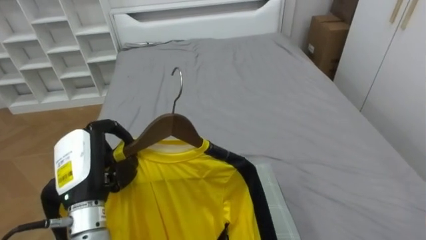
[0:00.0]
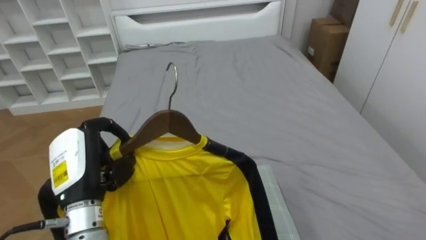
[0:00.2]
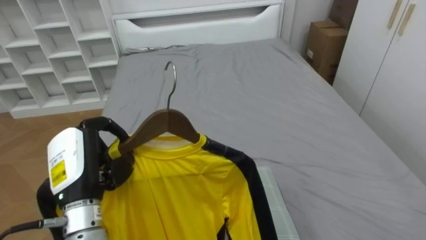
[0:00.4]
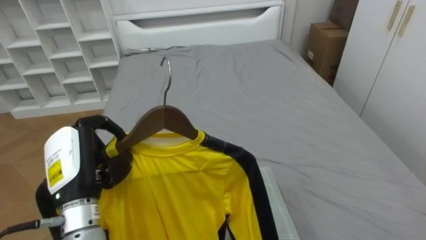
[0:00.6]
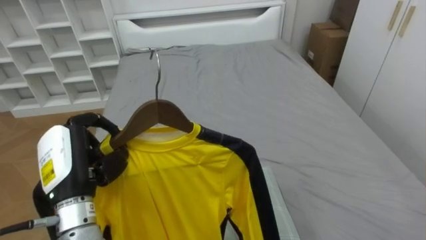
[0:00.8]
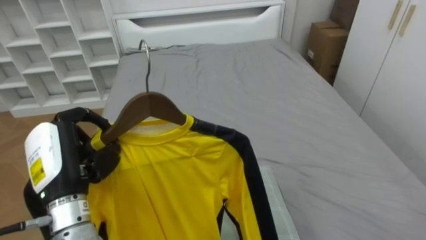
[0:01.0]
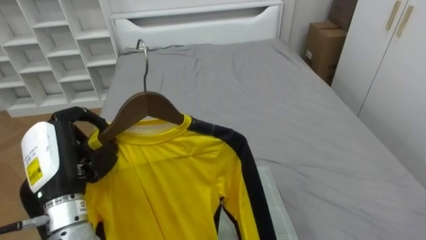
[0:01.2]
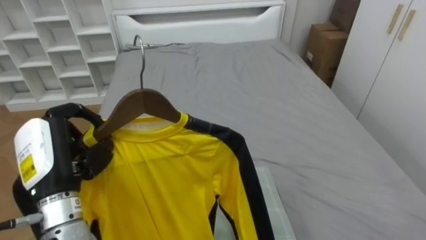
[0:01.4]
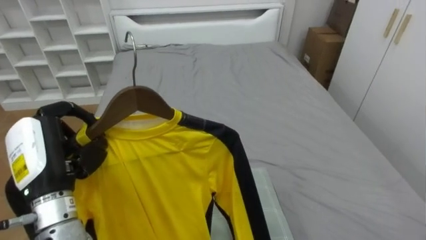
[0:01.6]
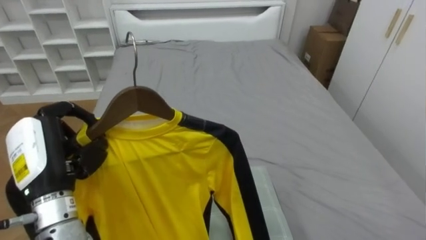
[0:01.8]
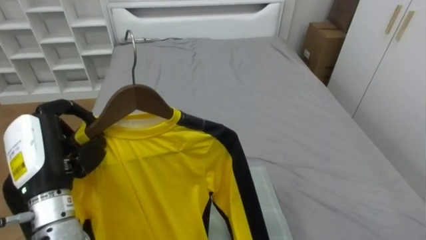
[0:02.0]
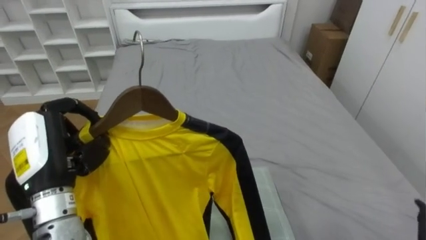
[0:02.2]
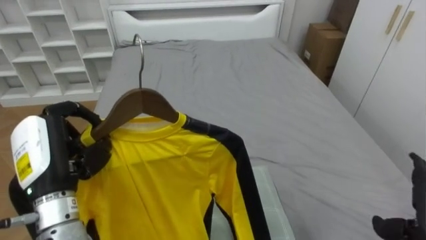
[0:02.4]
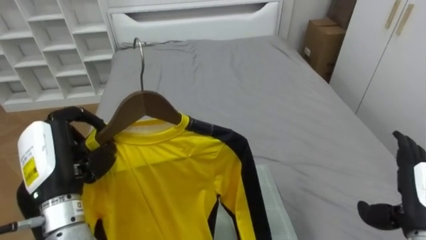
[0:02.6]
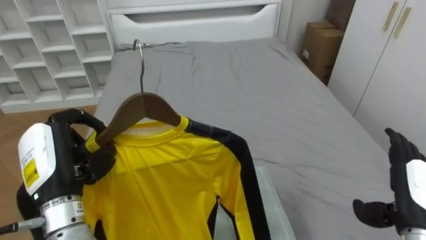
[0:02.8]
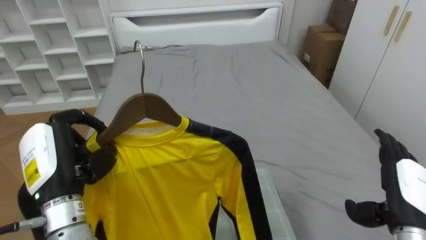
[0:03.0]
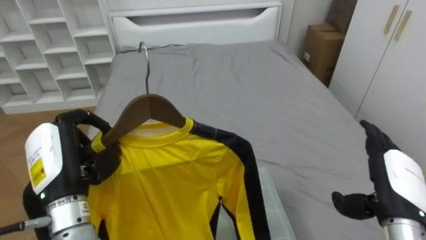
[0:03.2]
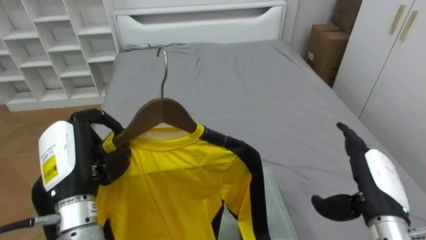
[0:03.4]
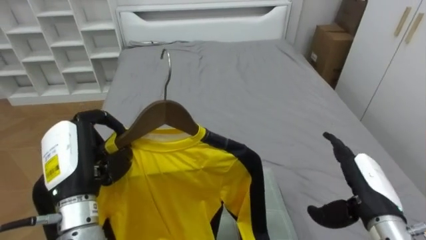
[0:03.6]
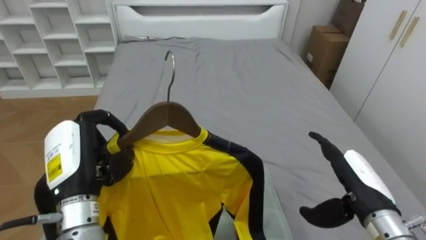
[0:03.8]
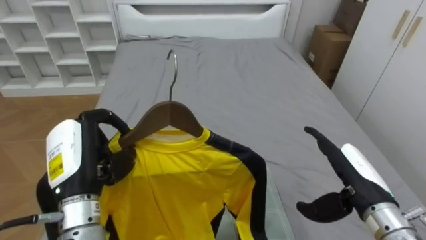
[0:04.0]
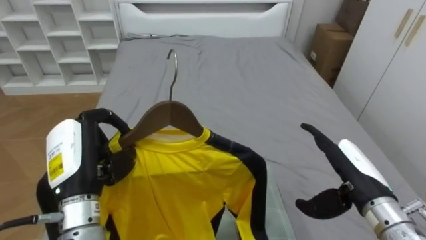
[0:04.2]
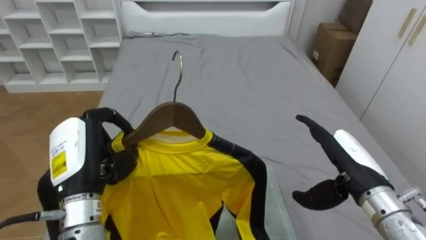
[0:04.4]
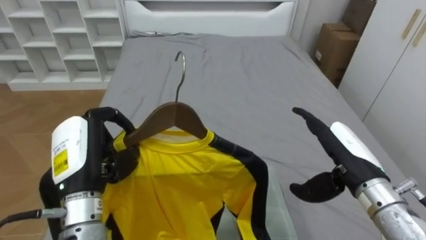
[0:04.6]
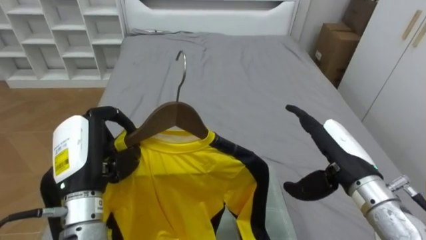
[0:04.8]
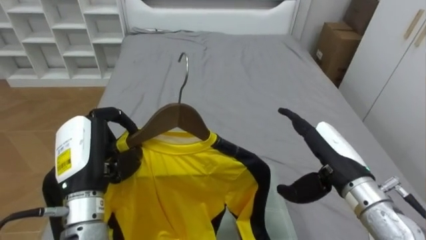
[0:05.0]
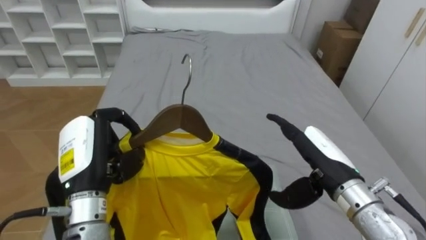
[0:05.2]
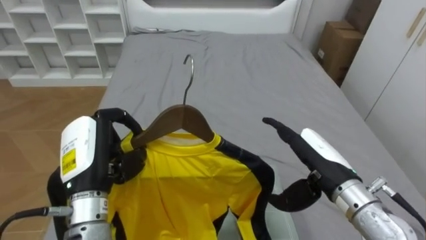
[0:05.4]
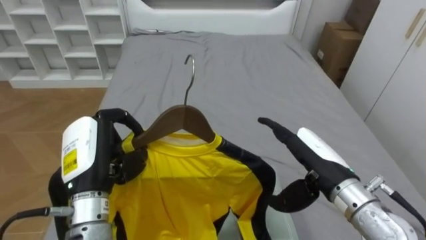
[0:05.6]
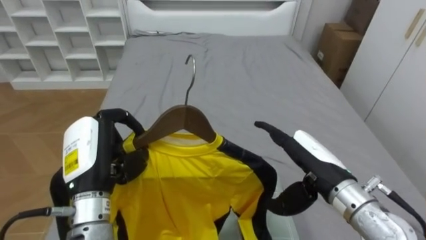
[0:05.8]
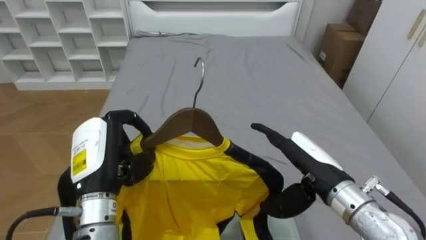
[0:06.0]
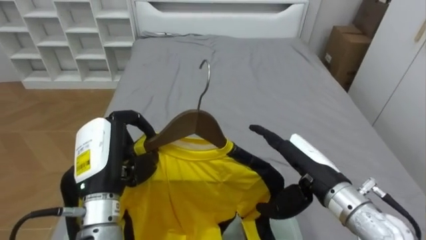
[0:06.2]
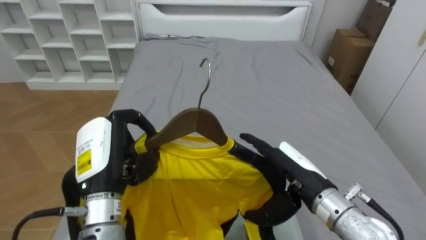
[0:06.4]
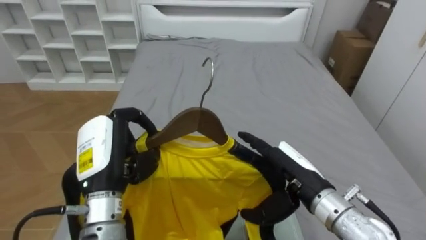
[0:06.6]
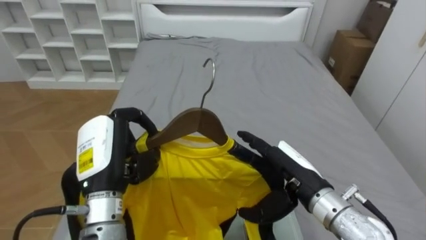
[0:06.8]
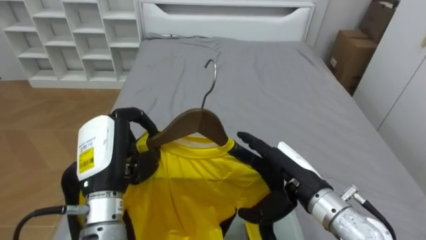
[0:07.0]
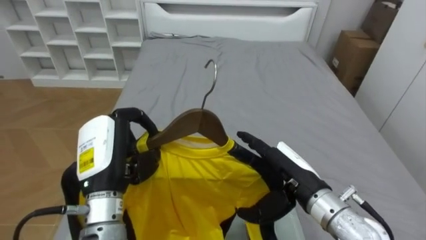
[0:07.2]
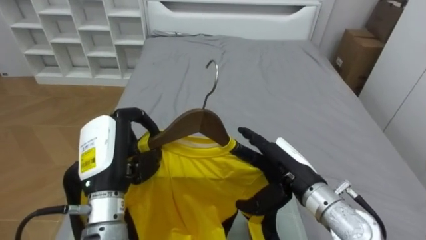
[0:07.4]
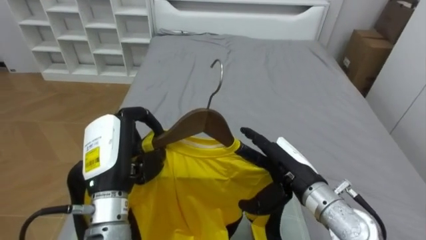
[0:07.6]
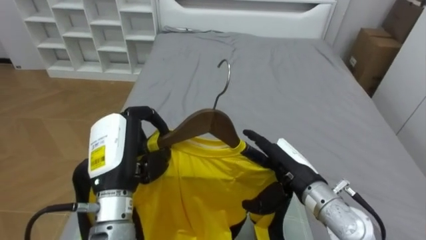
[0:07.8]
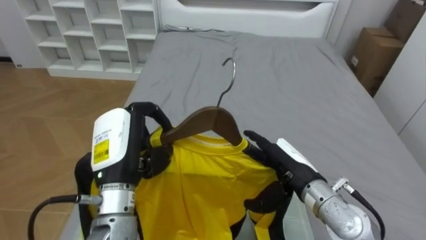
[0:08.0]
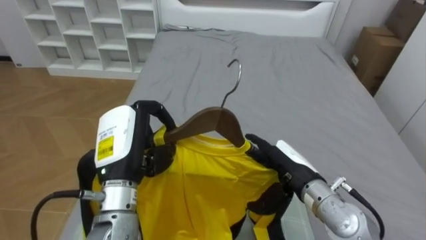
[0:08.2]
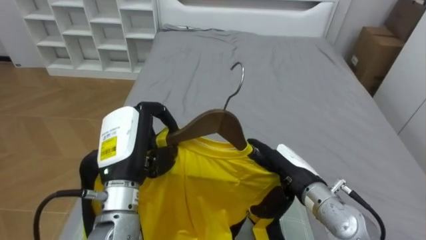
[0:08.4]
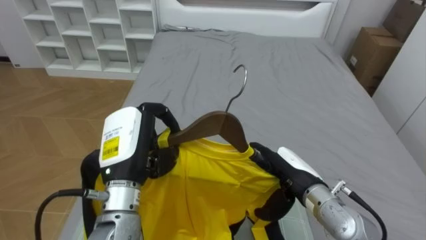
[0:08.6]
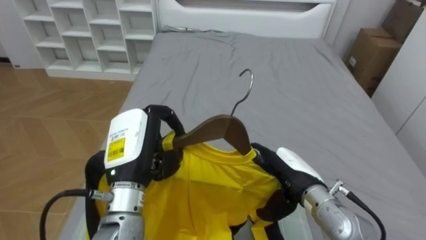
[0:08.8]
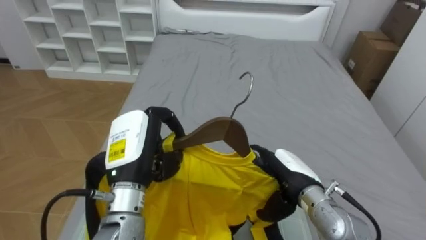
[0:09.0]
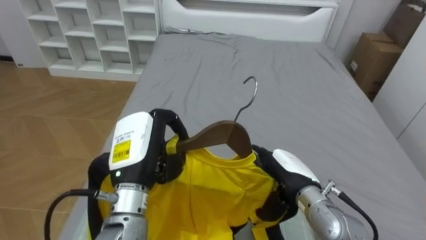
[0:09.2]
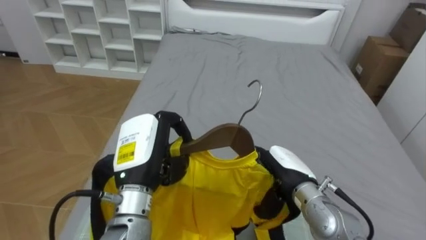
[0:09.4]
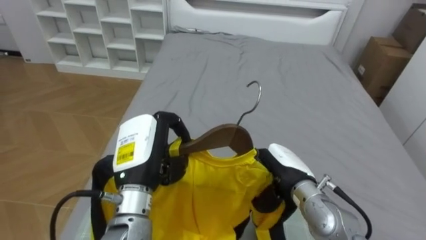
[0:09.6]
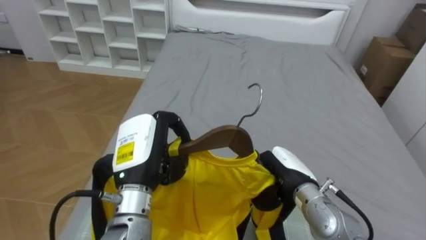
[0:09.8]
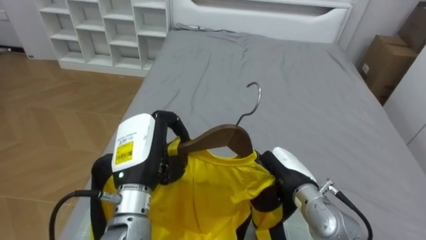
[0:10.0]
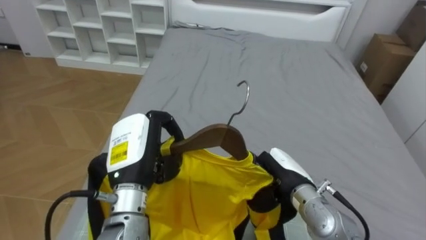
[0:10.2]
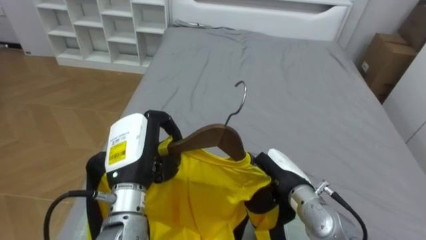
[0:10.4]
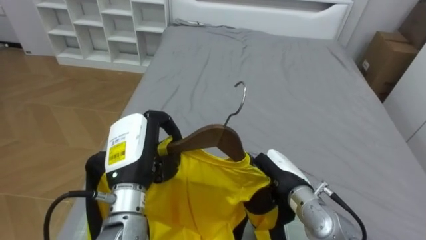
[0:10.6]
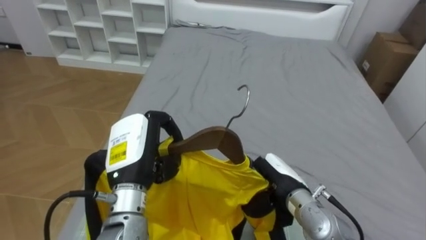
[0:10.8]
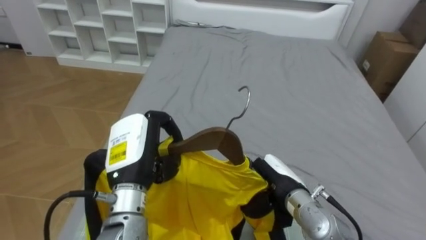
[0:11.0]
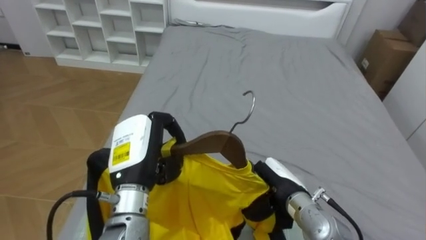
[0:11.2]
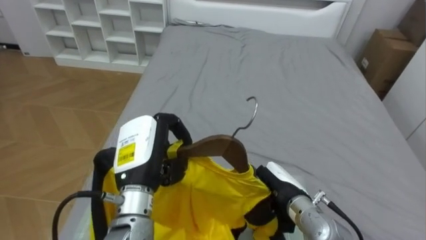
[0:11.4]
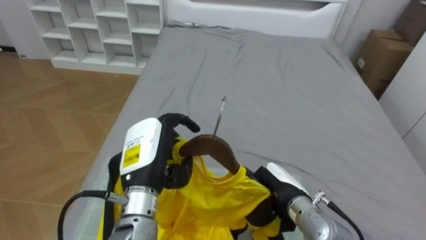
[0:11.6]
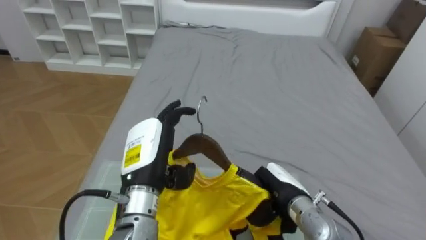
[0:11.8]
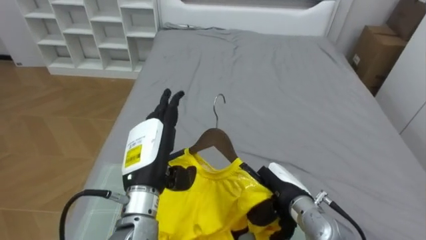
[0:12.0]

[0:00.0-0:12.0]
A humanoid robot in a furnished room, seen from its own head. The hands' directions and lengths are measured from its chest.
Task of the whole recording: Pick up the yellow shirt on the bed and hang it on the clothes rack on the right.
0:00.0 to 0:01.6: The left hand moves approximately 5 cm.
0:03.0 to 0:04.4: The right hand goes approximately 10 cm to the left.
0:04.4 to 0:06.0: The right hand goes some 5 cm to the left.
0:09.0 to 0:10.4: The right hand closes its fingers.
0:10.4 to 0:12.0: The left hand opens its fingers.

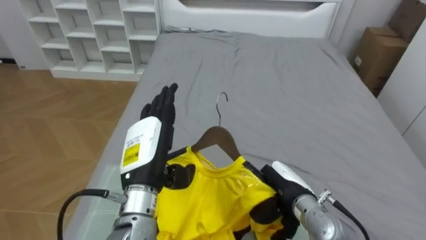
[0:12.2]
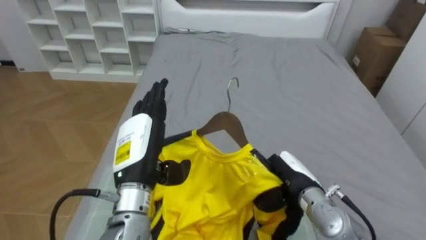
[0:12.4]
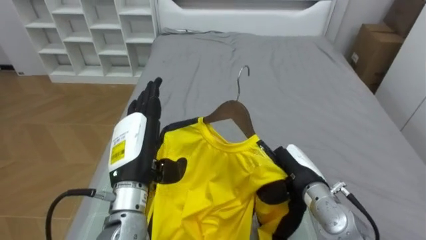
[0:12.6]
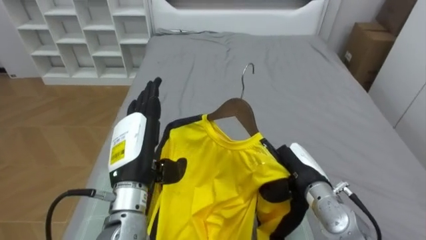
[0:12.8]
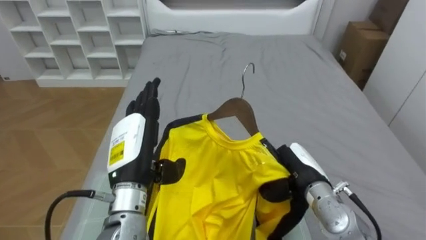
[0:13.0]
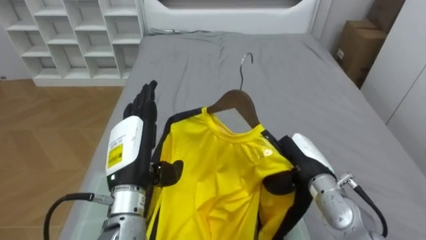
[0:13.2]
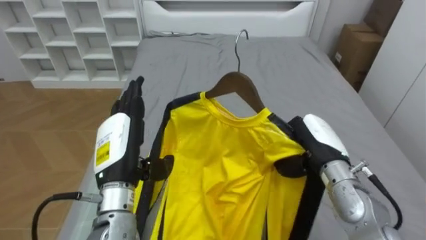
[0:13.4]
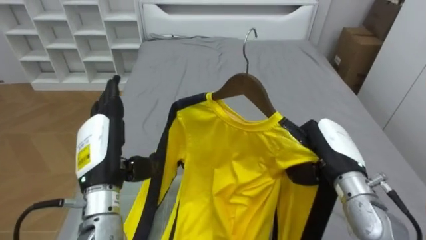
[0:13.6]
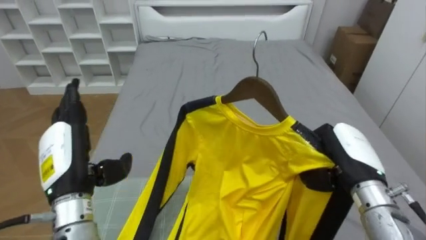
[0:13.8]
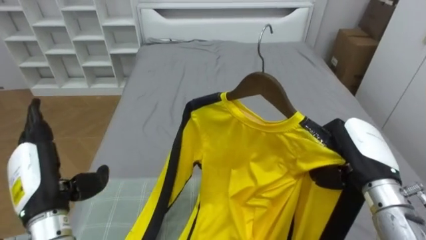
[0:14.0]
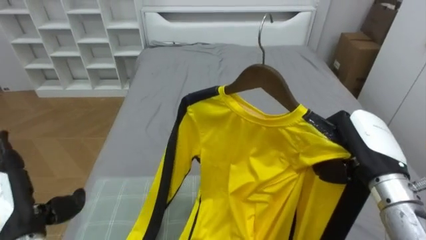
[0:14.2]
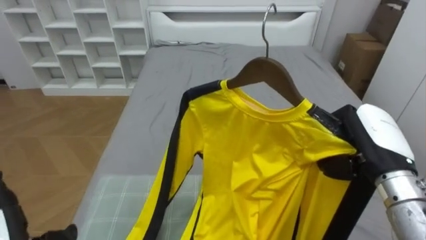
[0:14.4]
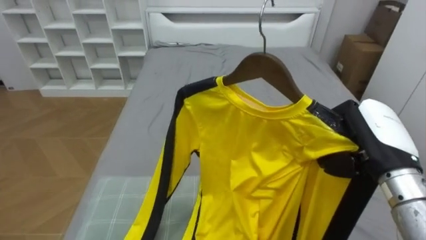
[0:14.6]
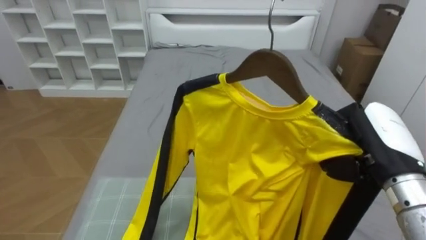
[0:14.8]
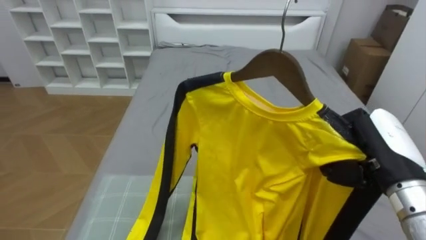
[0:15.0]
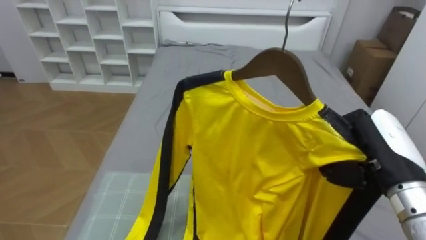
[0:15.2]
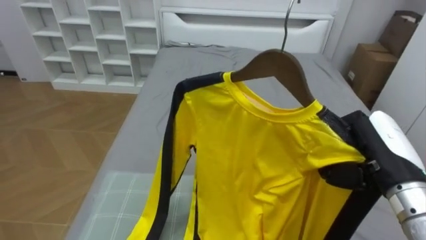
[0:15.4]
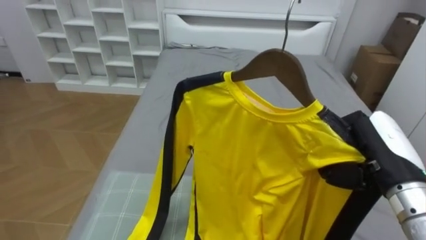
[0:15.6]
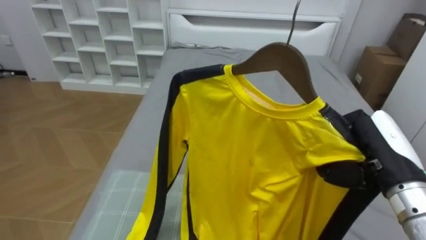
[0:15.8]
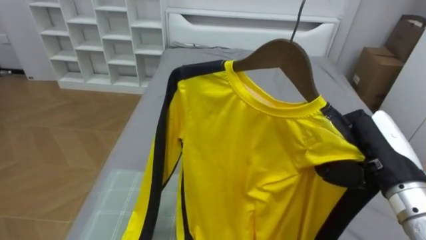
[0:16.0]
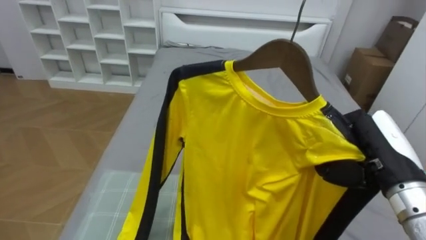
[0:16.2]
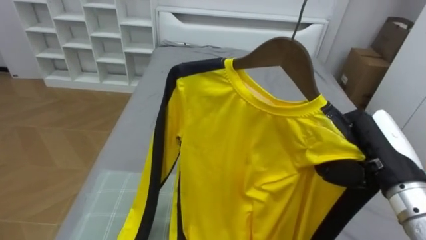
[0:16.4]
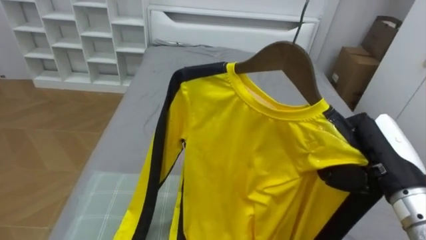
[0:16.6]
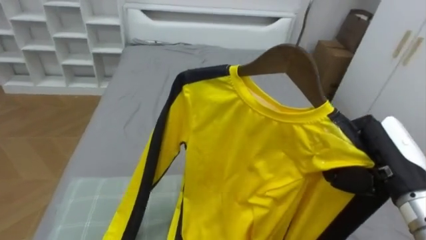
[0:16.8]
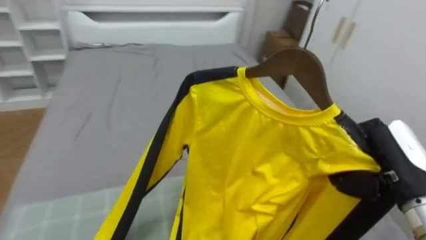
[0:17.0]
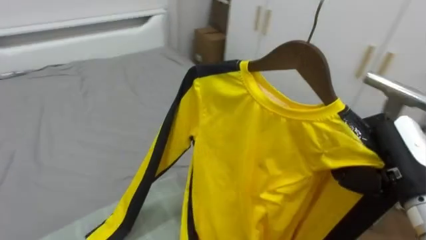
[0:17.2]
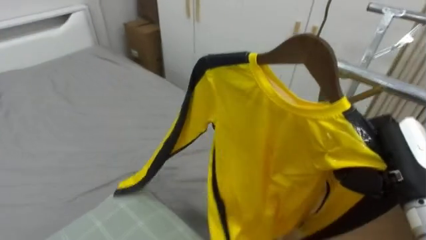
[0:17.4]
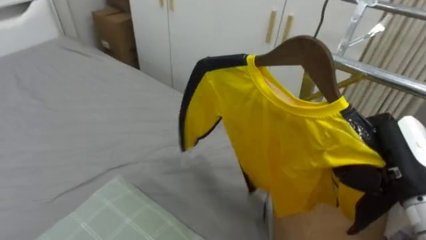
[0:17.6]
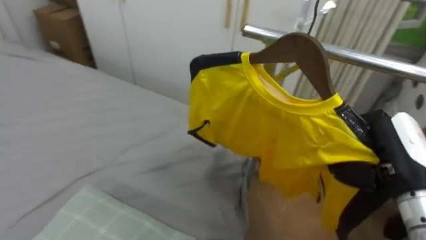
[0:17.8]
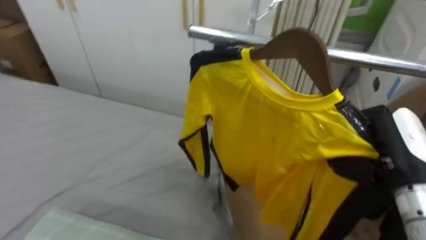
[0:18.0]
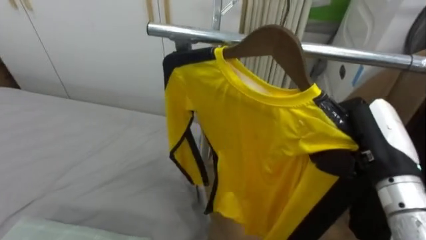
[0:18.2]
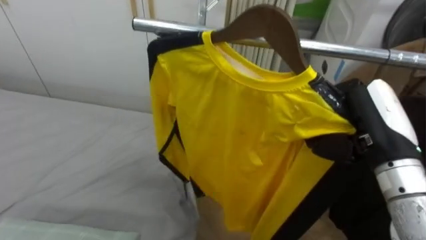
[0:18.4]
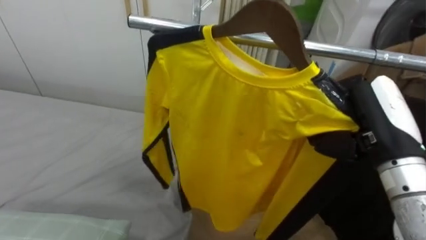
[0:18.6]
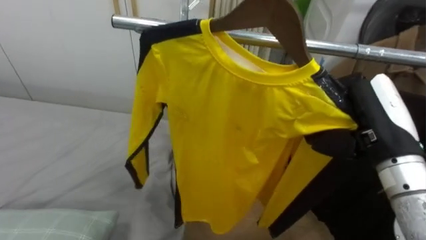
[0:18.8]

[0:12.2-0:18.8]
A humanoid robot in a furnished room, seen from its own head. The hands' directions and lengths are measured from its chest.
Task of the whole recording: Pick up the yellow shirt on the bed and hang it on the clothes rack on the right.
0:12.2 to 0:13.8: The right hand is displaced upward and to the right by some 15 cm; the left hand travels to the left by roughly 10 cm.
0:13.8 to 0:15.4: The right hand travels upward by some 5 cm.
0:15.4 to 0:17.2: The robot's body swings approximately 30 degrees to its right.
0:17.2 to 0:18.8: The robot rotates some 50 degrees to its right. The right hand shifts by roughly 5 cm.
